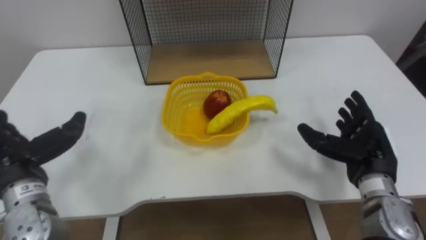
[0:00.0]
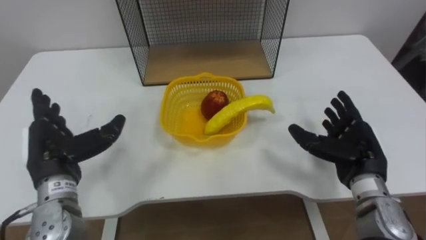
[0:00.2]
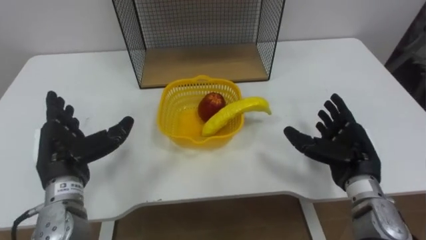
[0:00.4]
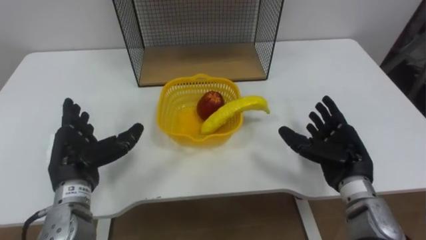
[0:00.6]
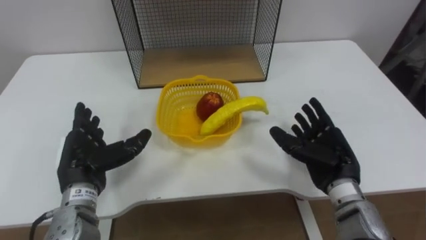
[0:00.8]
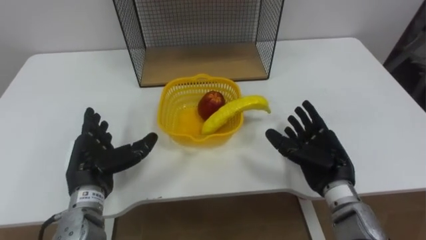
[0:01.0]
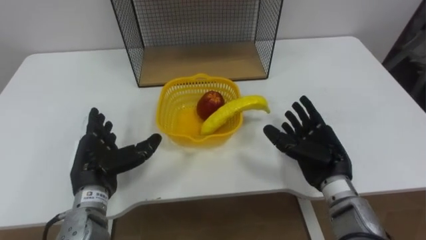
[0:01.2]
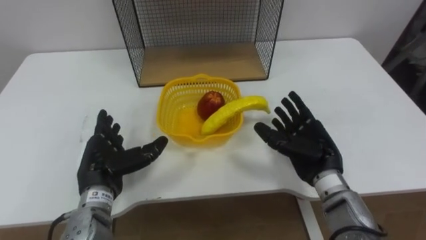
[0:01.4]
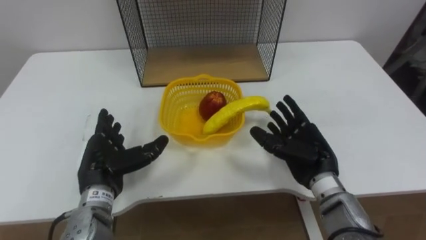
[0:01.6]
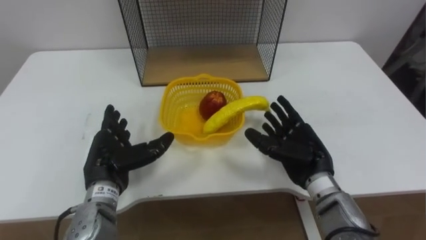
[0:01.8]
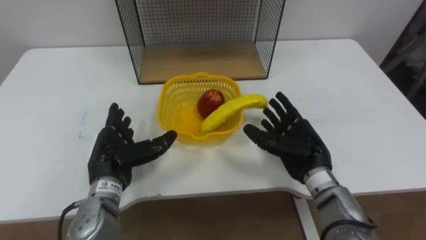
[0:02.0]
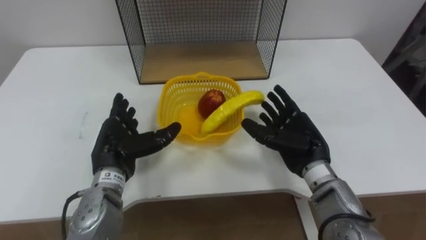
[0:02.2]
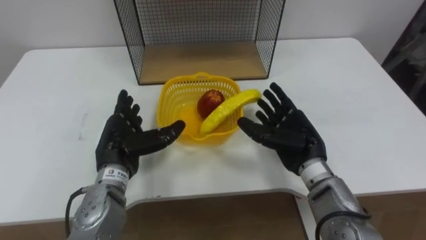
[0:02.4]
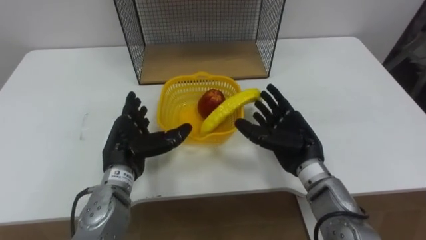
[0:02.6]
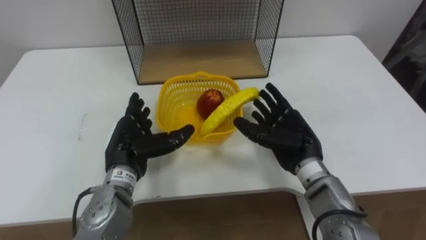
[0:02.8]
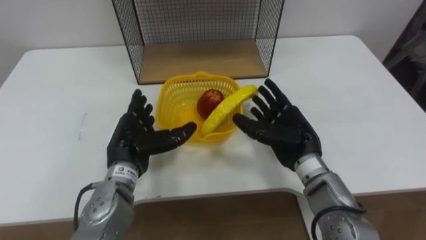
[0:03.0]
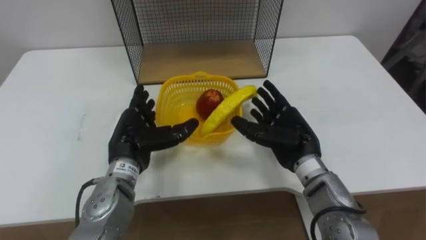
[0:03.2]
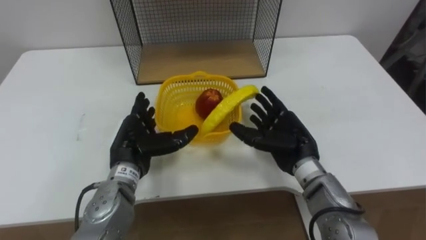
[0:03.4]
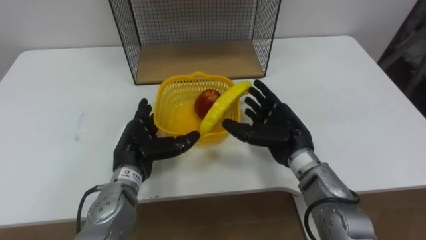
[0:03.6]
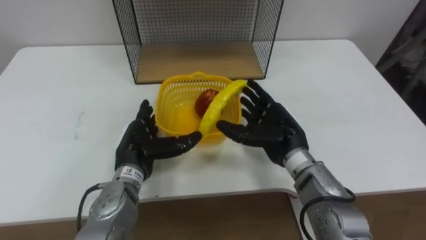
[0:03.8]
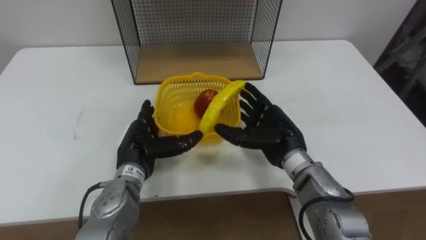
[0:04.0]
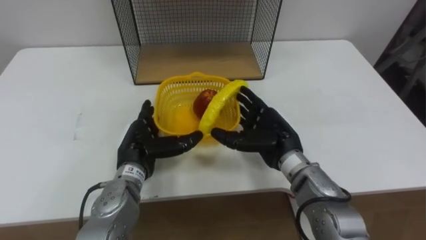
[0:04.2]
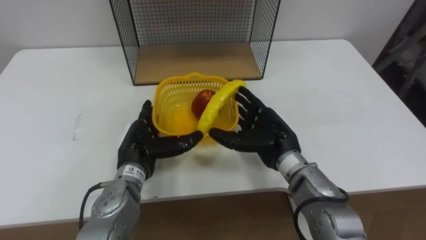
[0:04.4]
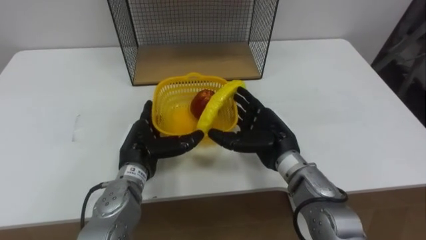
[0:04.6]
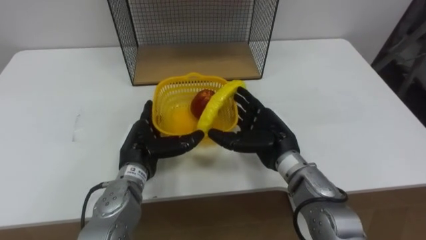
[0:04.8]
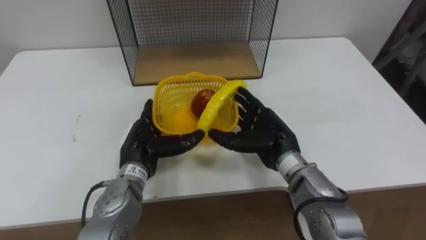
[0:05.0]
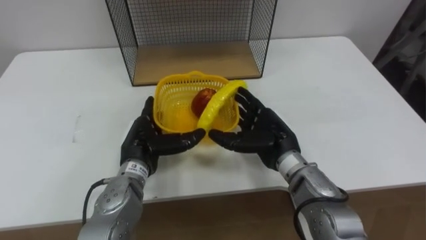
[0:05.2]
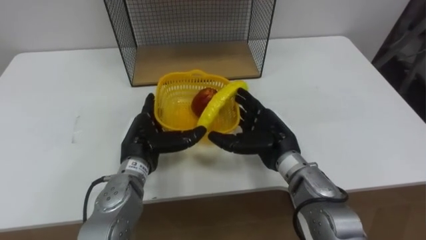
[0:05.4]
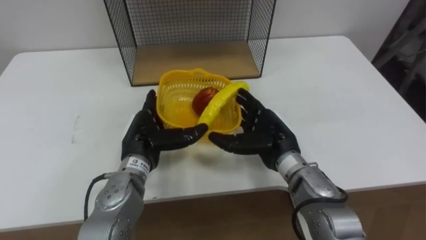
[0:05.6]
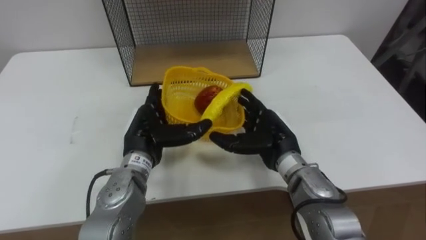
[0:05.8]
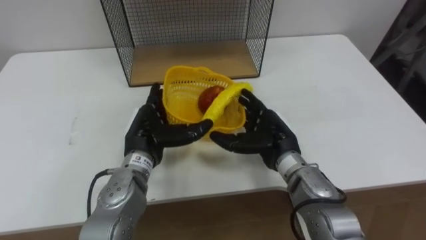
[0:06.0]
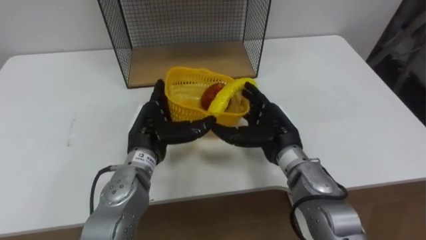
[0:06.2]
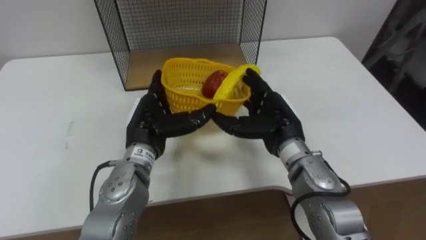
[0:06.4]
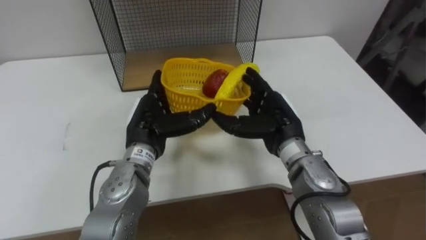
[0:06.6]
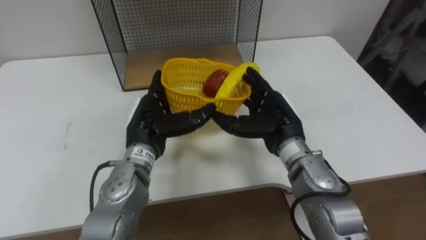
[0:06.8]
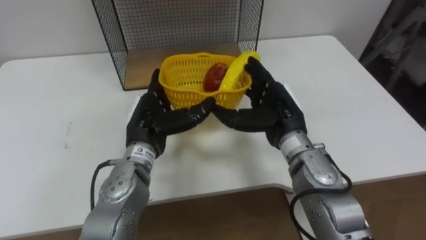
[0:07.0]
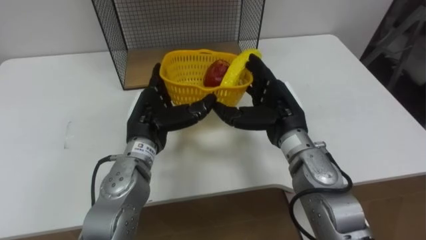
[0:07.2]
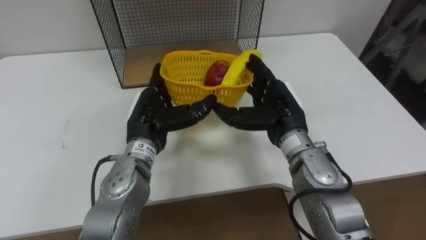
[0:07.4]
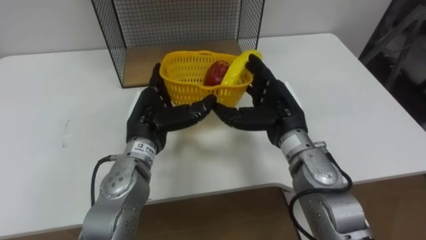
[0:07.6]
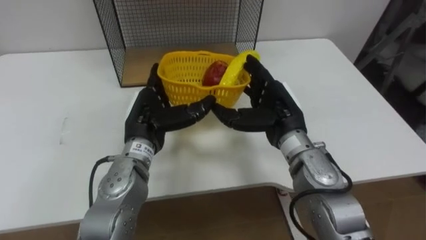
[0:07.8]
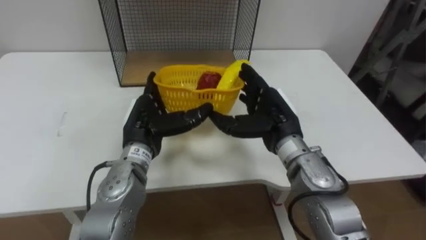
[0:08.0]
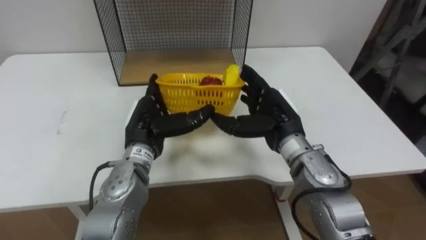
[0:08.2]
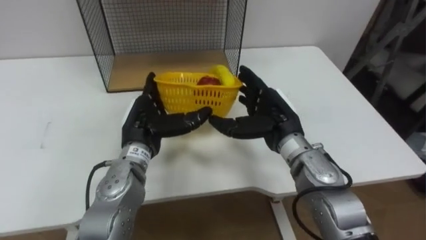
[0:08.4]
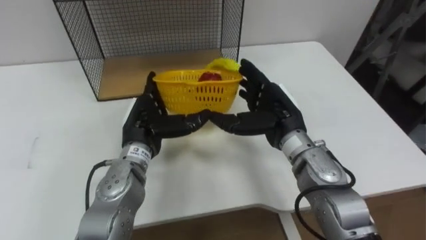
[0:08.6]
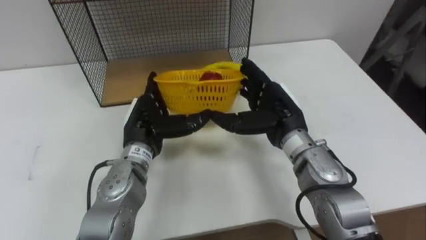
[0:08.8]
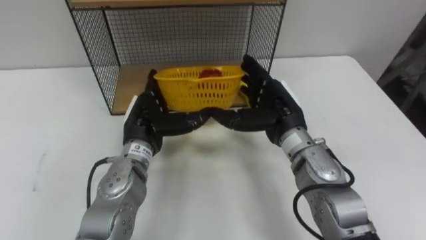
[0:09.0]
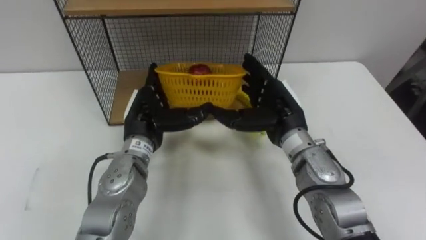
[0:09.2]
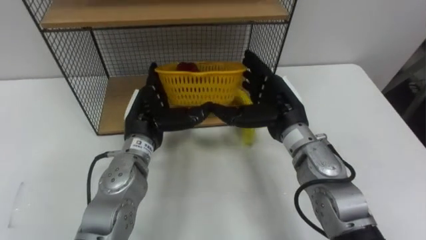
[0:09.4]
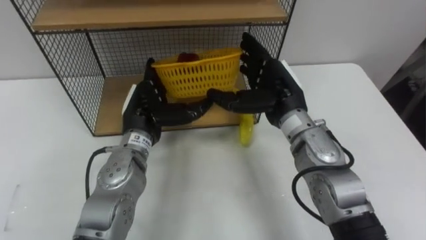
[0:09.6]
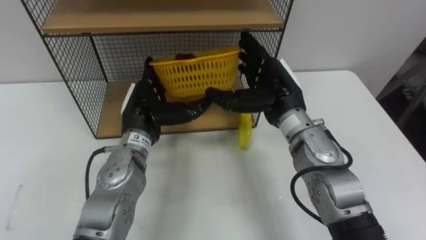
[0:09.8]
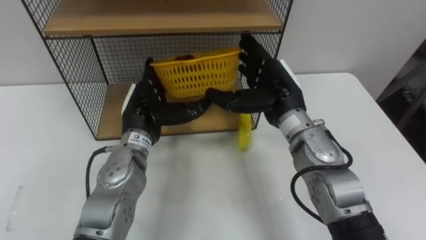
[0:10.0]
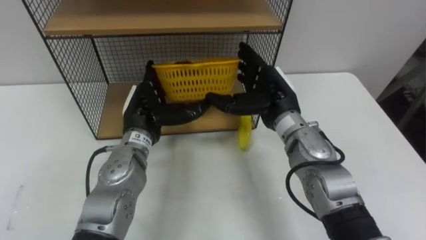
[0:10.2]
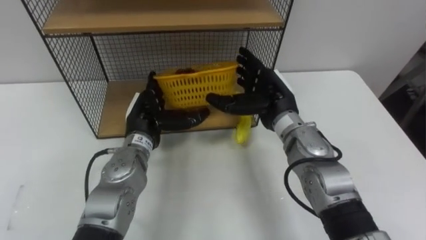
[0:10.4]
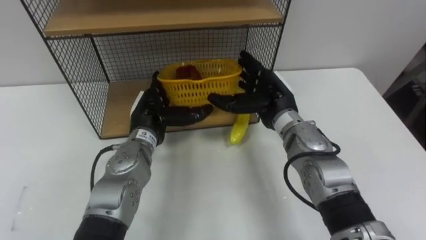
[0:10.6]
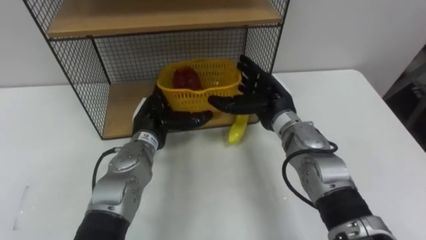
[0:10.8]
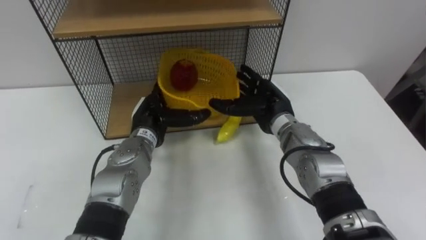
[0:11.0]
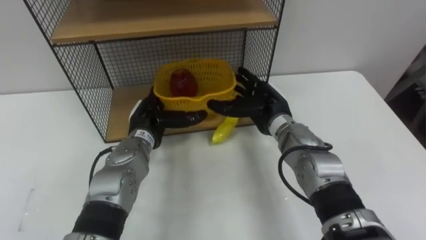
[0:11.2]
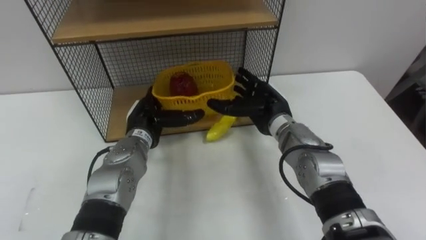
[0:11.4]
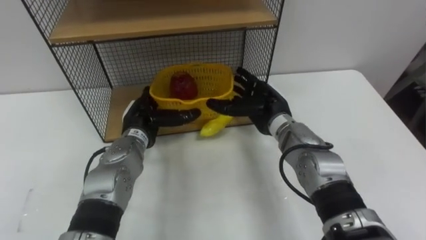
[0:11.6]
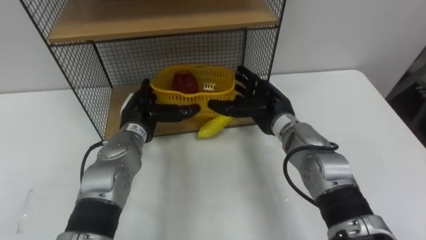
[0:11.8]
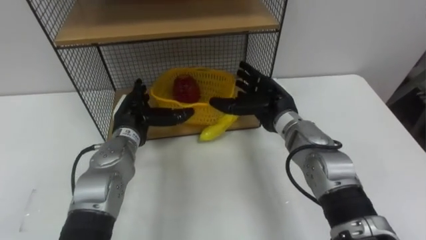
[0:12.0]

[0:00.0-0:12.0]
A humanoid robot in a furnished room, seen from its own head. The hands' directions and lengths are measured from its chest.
Task of the whole recording: Put the fruit on the table into the basket, then place the basket on the shelf.
0.0 to 1.6 s: The right hand travels to the left by about 10 cm; the left hand shifts some 10 cm to the right and downward.
1.6 to 3.0 s: The left hand shifts by approximately 5 cm.
4.4 to 6.0 s: The hands make only small movements.
6.0 to 7.6 s: The right hand heads upward, covering roughly 5 cm.

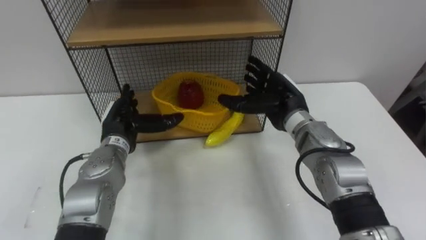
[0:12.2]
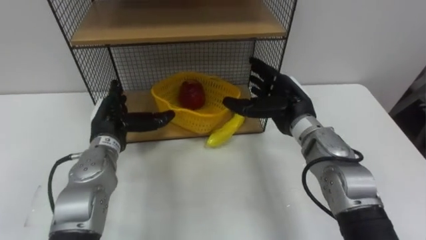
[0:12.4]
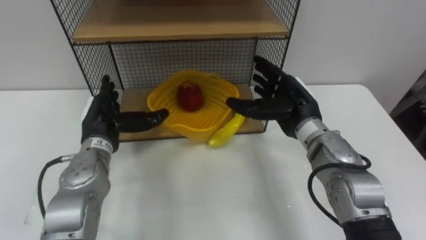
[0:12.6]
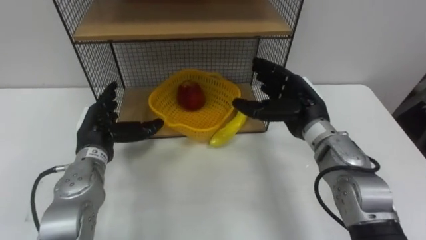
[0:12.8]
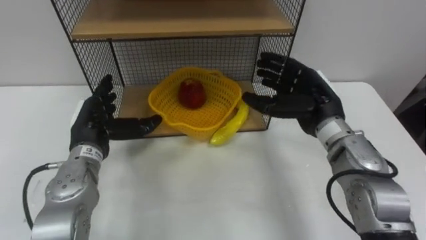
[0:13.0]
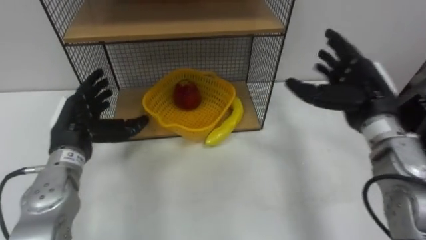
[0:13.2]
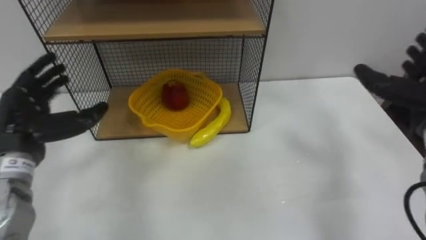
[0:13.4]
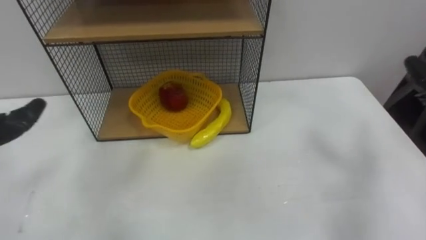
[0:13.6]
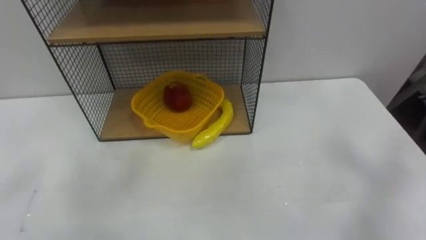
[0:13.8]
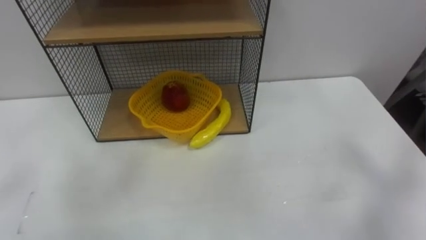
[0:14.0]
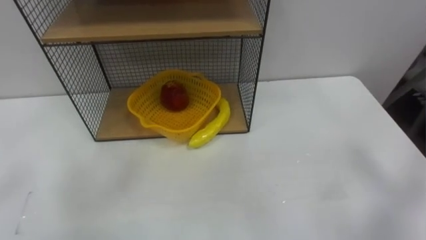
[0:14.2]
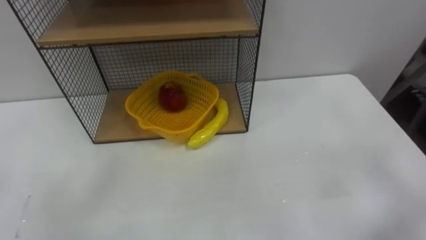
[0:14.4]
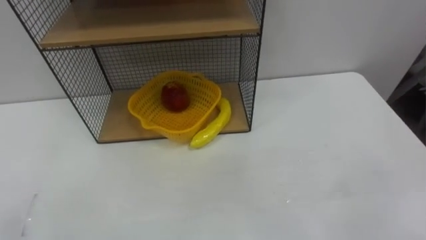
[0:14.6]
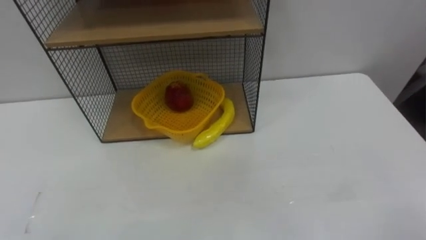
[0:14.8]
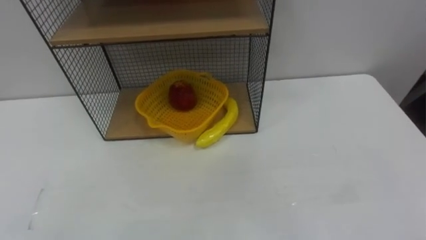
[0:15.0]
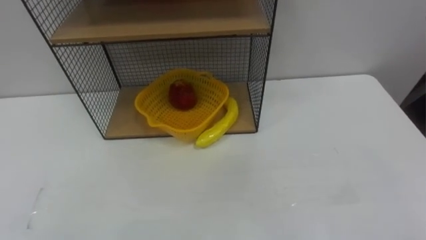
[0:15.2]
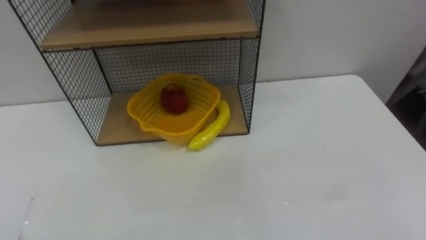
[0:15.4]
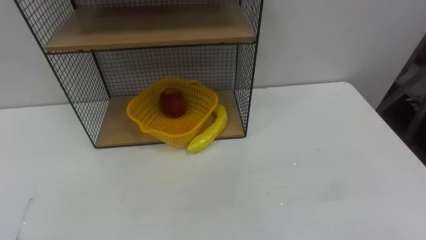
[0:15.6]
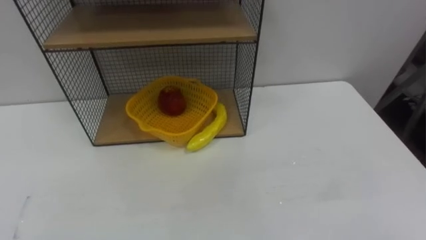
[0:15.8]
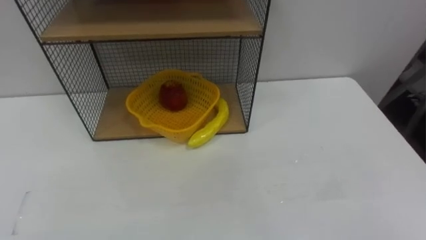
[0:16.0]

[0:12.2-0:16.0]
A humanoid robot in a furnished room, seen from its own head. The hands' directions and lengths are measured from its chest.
Task of the whole recording: Put the fruit on the table into the basket, then place the basket on the shelf.
12.2 to 13.4 s: The left hand is displaced to the left, upward and backward by approximately 15 cm.

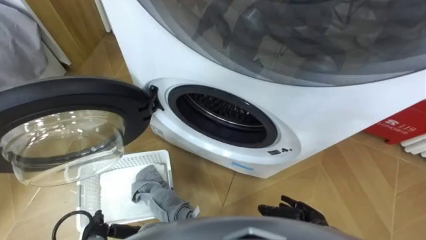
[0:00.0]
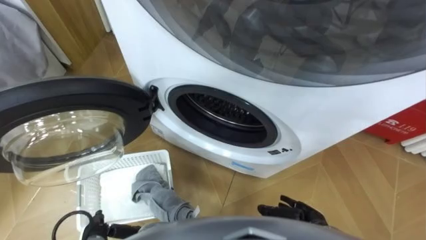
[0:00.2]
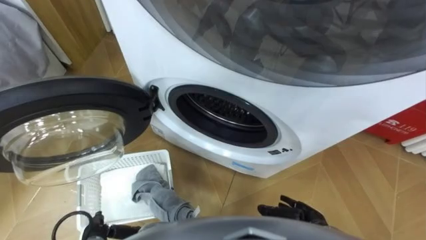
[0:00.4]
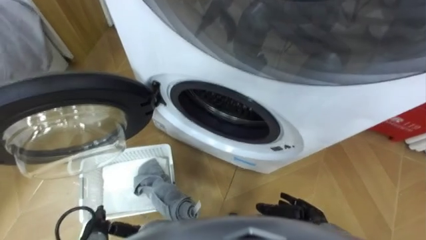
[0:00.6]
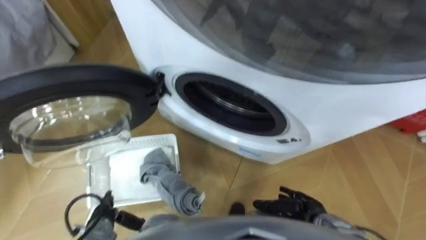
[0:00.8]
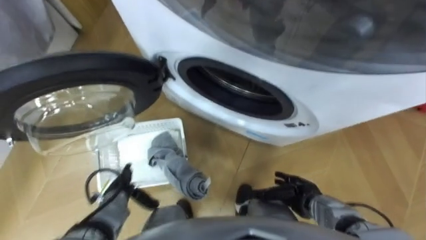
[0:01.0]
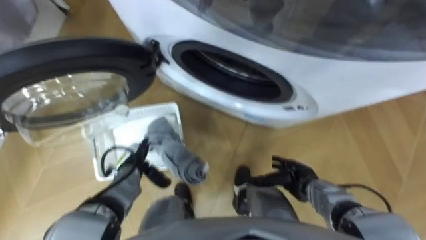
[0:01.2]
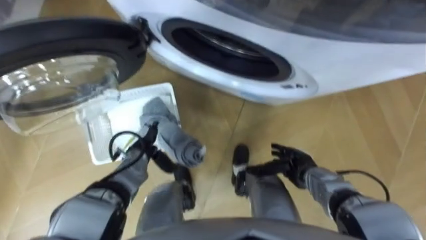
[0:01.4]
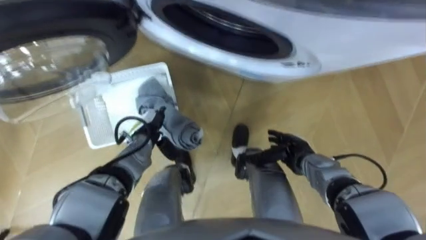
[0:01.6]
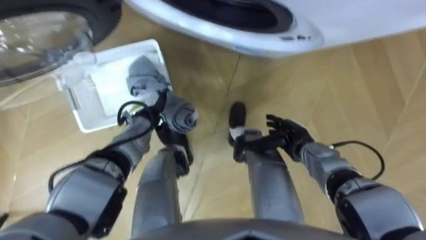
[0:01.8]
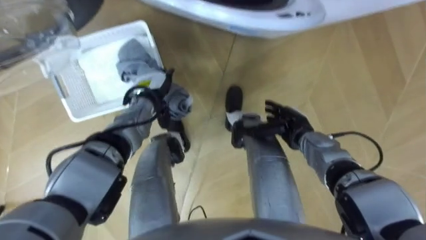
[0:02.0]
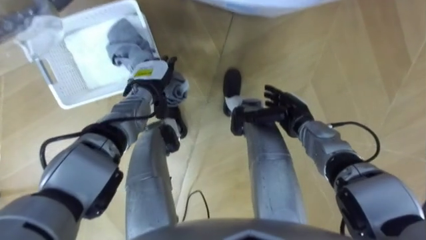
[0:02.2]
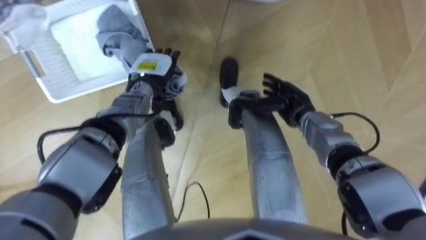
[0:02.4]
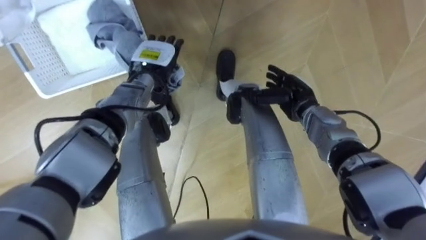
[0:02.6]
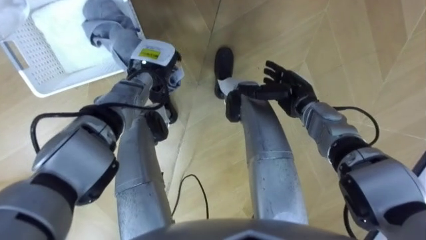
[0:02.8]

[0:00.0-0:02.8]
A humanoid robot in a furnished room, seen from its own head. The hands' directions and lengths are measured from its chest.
Task of the whole recording: Take the towel from the basket and put it into the washing machine.
1.4 to 2.8 s: The hands both shift forward and upward by about 20 cm.
